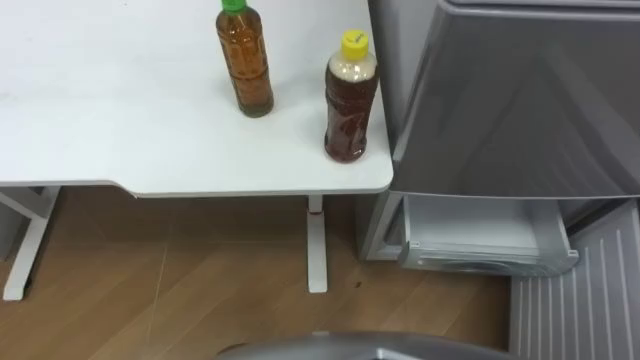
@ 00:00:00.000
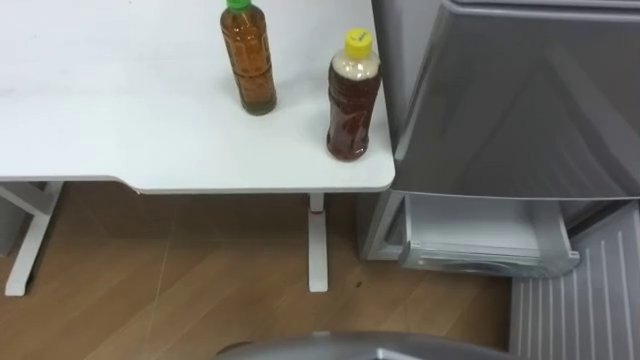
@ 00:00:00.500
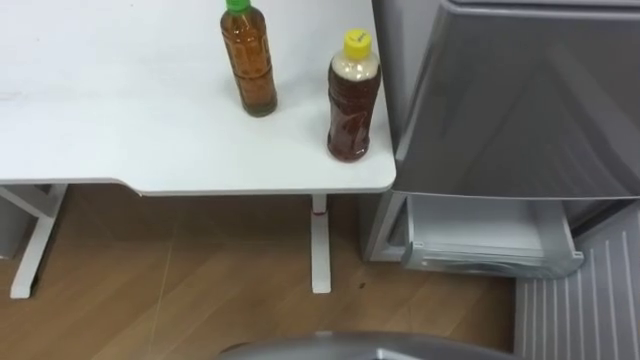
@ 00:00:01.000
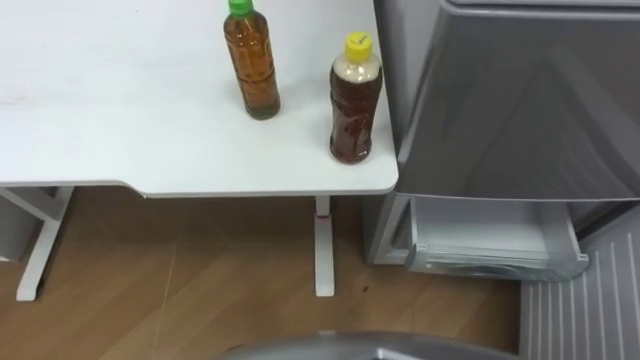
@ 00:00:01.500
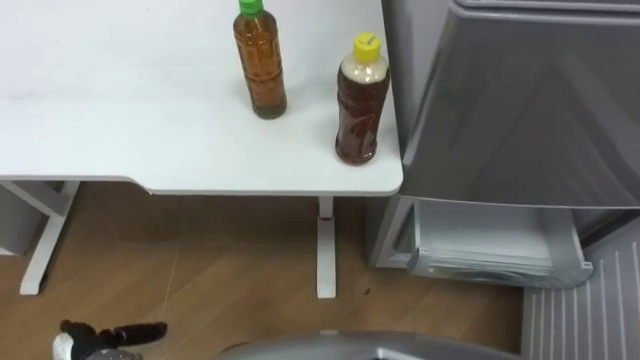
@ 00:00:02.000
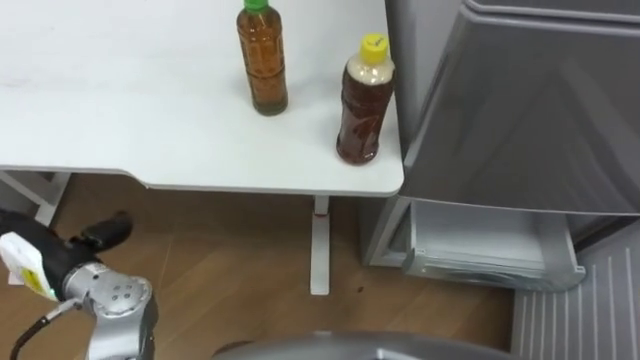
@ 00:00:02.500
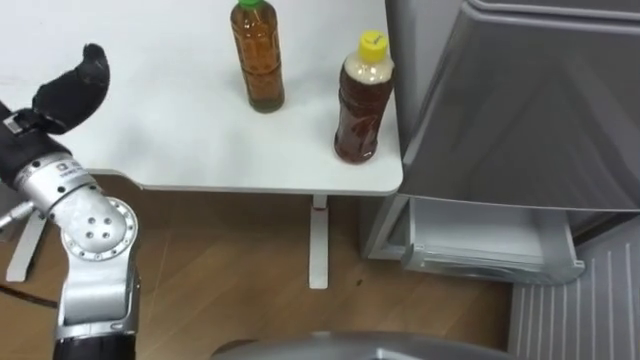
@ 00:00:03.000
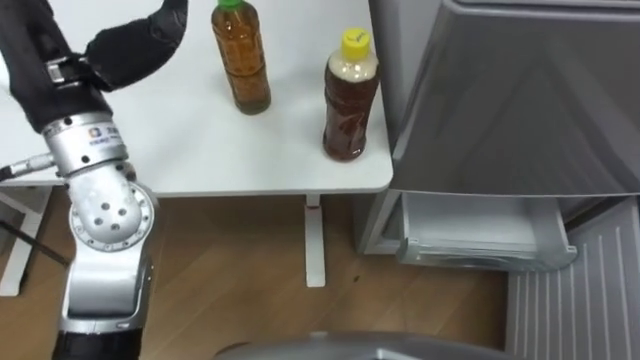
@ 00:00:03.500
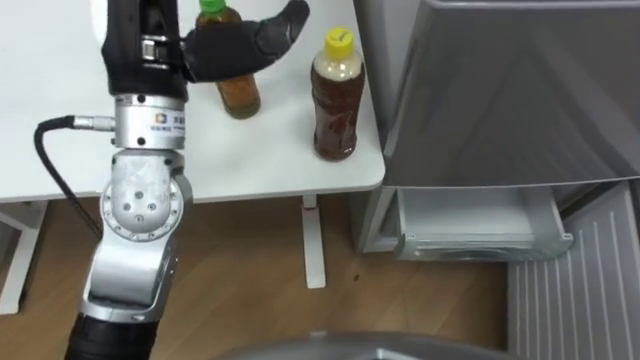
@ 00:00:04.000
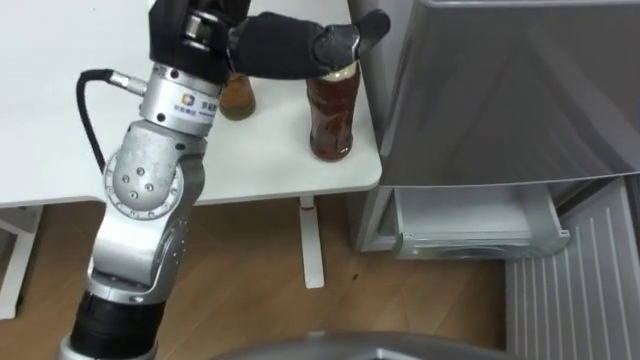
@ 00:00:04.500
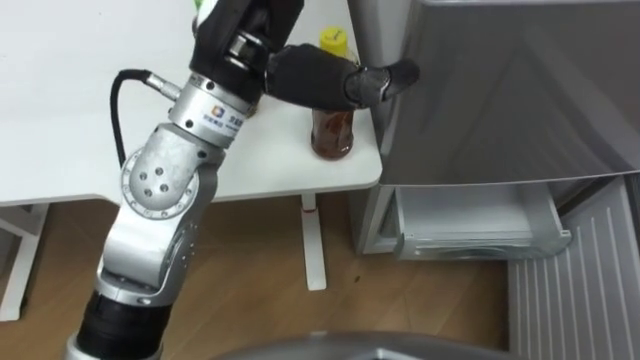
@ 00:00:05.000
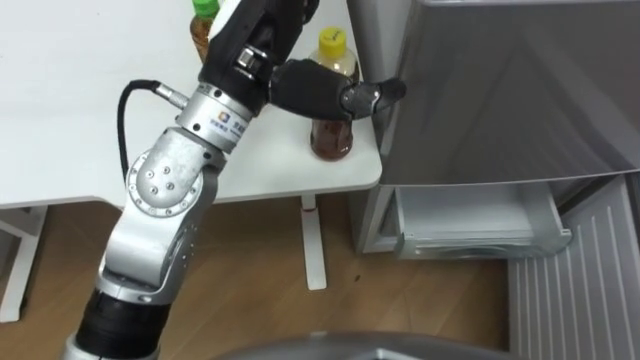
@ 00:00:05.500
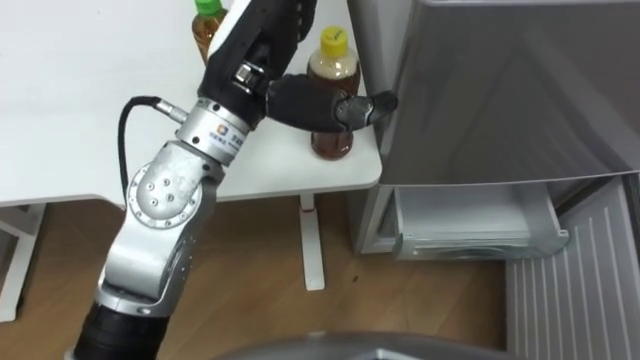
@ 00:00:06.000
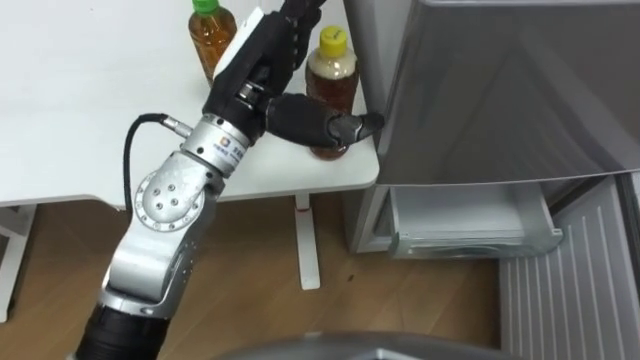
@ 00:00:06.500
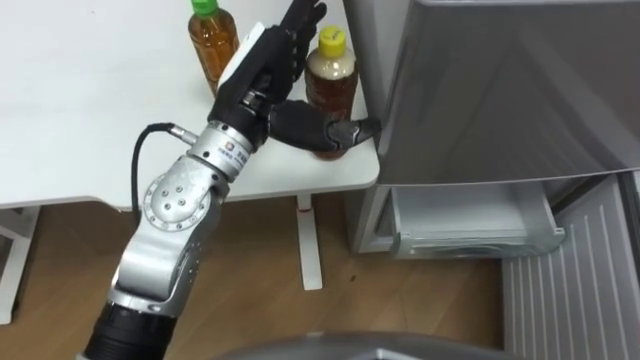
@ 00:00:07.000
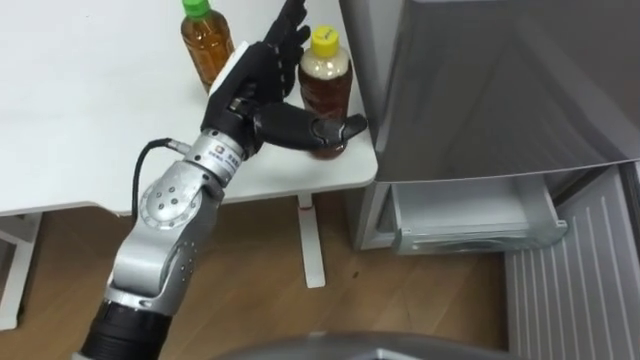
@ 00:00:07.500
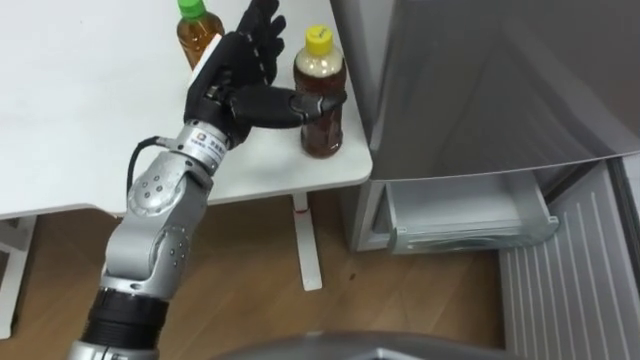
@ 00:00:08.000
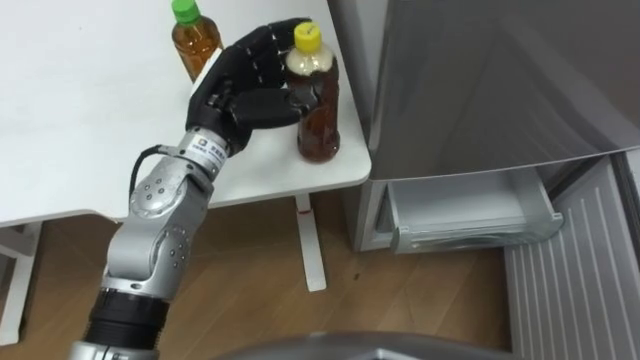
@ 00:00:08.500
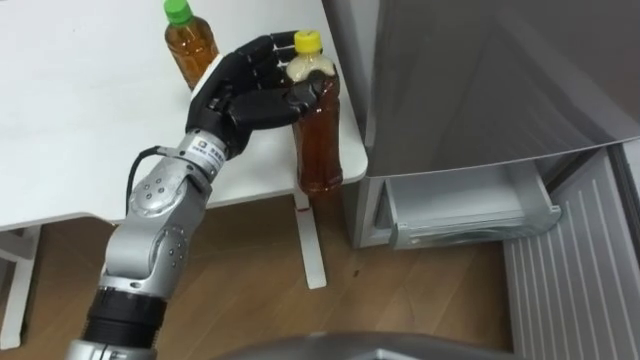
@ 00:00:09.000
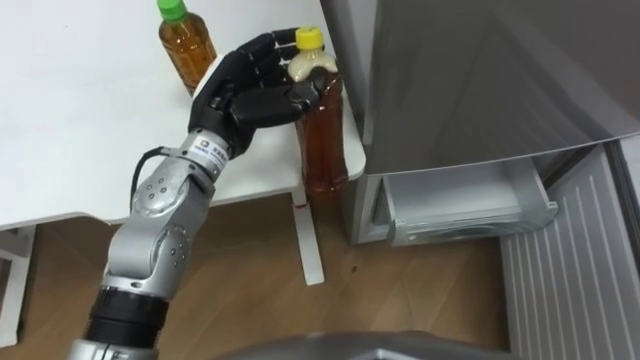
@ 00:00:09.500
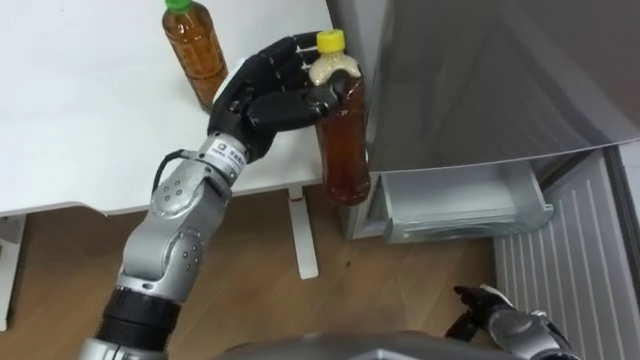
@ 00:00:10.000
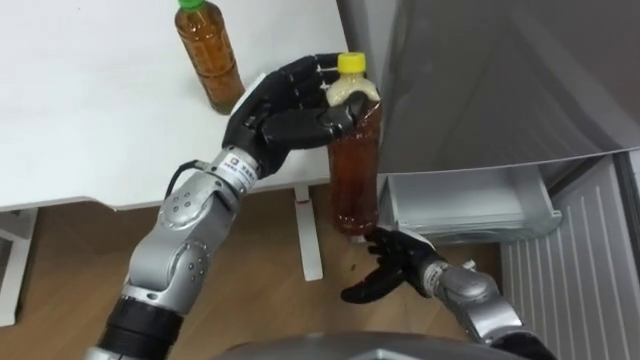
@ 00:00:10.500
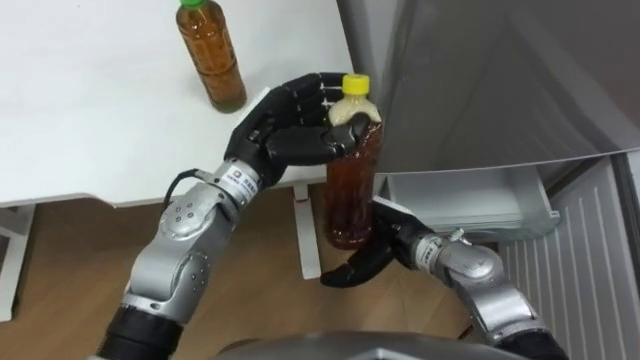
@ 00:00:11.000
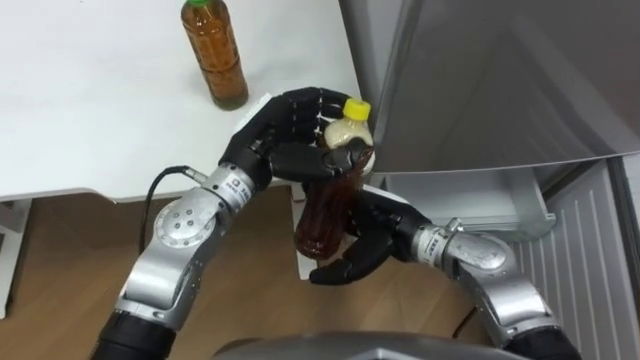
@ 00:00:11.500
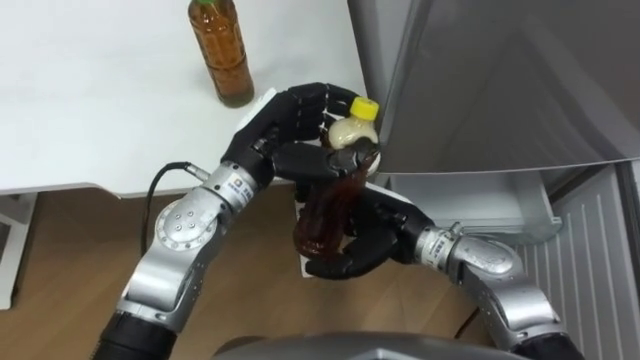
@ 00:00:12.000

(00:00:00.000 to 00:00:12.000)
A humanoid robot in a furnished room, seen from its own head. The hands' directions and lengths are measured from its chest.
Task of the whole recording: Place the drink on the table on the bottom shelf of the refrigerator, then close the drawer and the refrigerator door.
00:00:04.000 - 00:00:06.000: The left hand shifts roughly 10 cm to the right.
00:00:06.000 - 00:00:08.000: The left hand heads downward, covering some 10 cm.
00:00:08.000 - 00:00:10.000: The left hand closes.
00:00:10.000 - 00:00:12.000: The right hand moves to the left, upward and forward, about 25 cm.

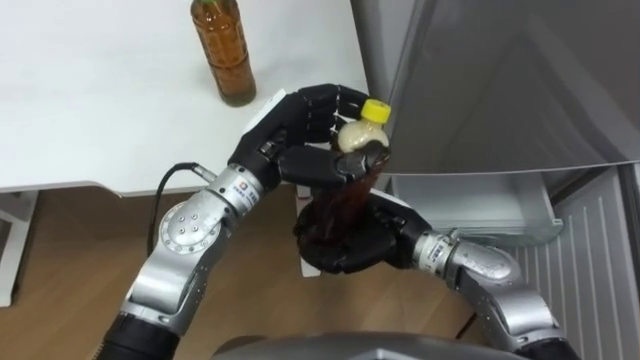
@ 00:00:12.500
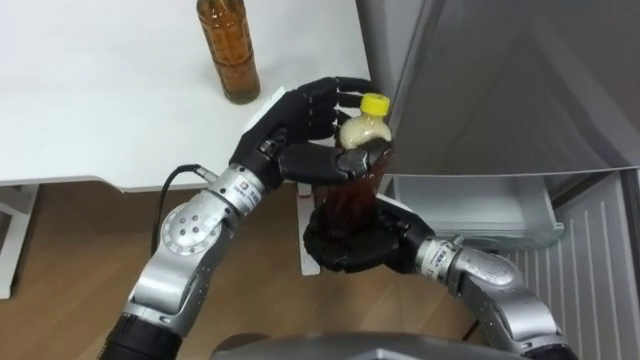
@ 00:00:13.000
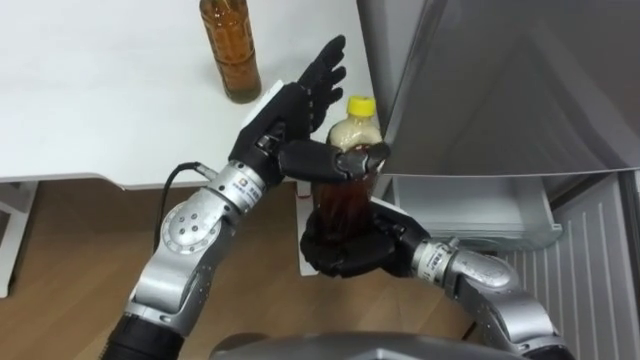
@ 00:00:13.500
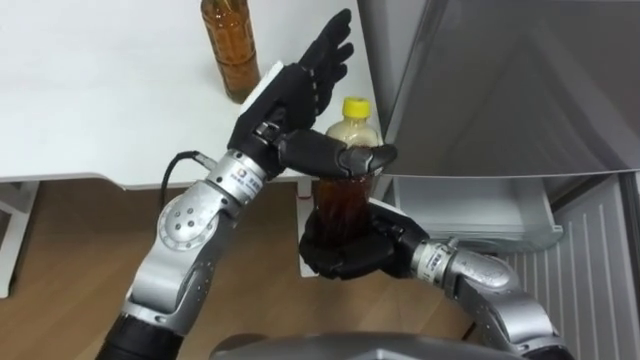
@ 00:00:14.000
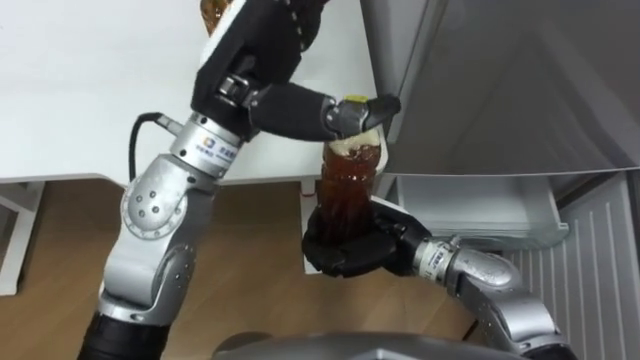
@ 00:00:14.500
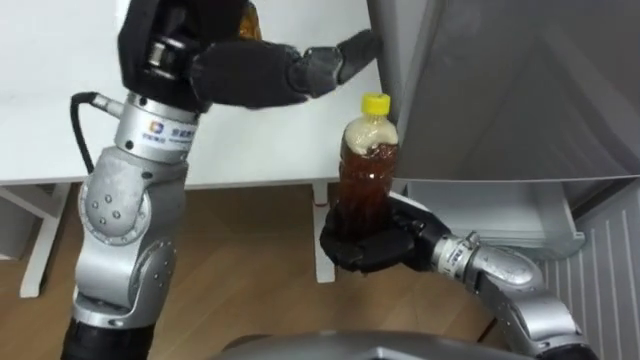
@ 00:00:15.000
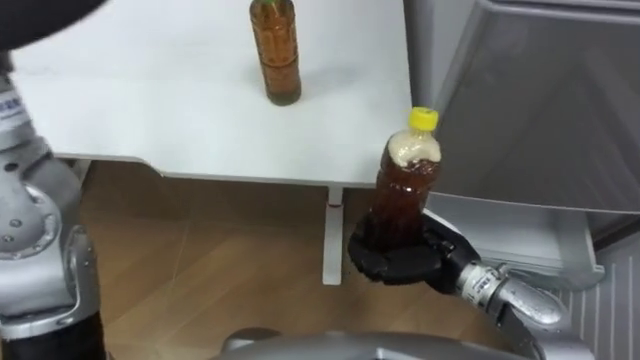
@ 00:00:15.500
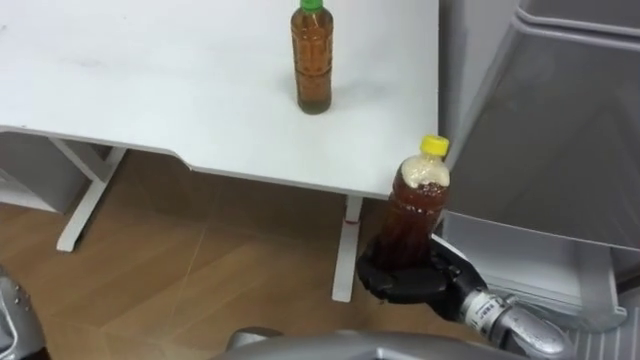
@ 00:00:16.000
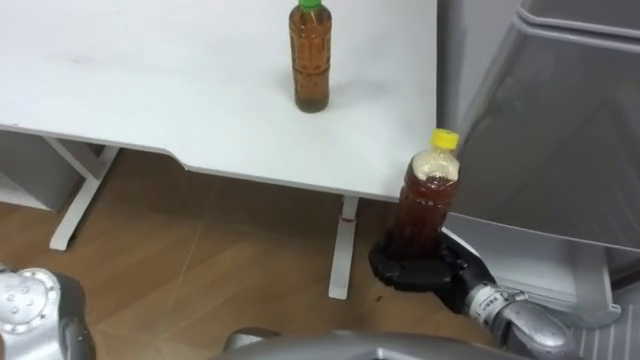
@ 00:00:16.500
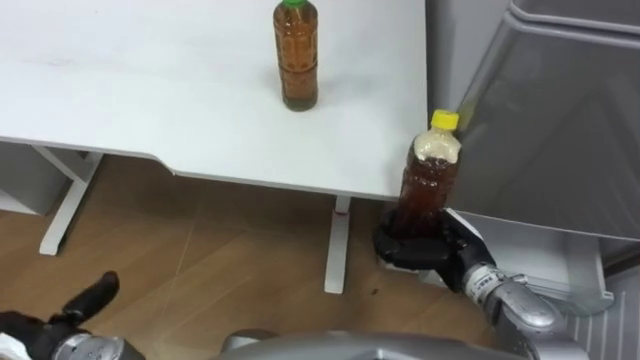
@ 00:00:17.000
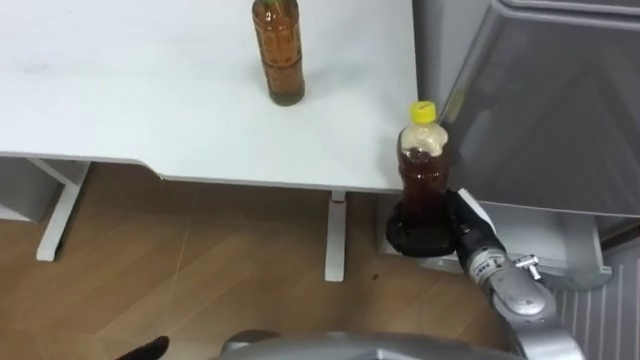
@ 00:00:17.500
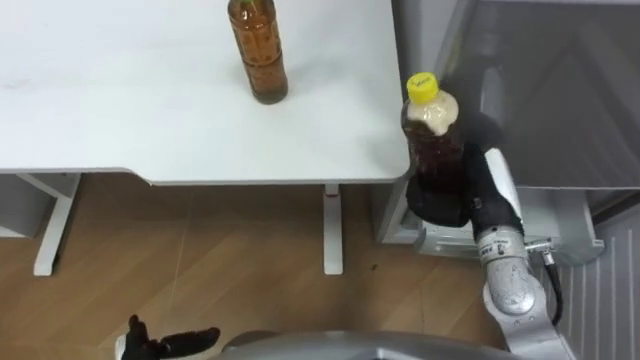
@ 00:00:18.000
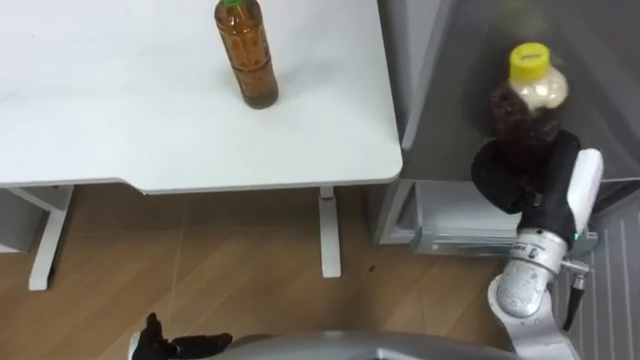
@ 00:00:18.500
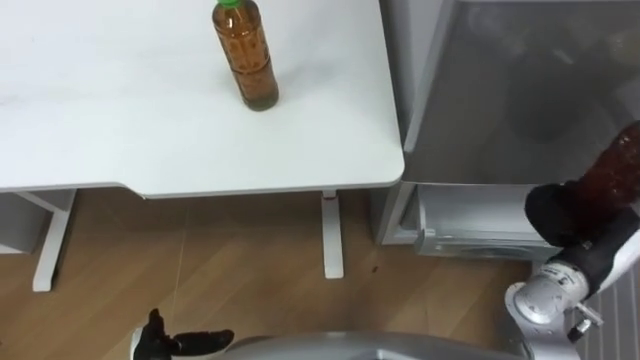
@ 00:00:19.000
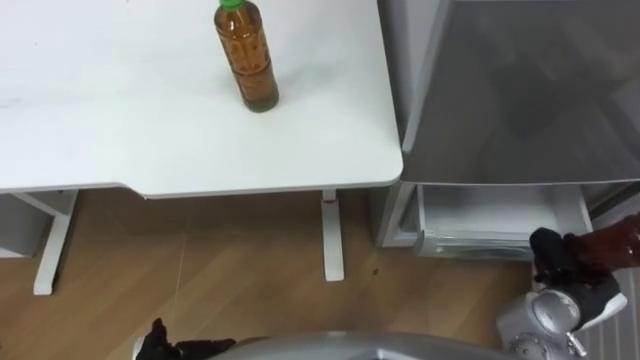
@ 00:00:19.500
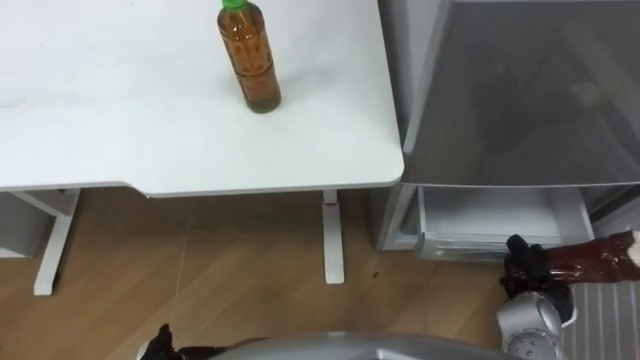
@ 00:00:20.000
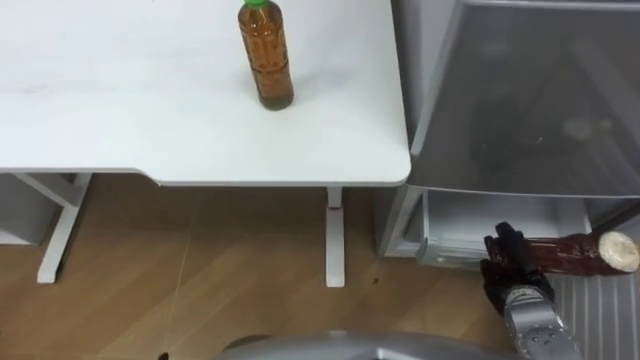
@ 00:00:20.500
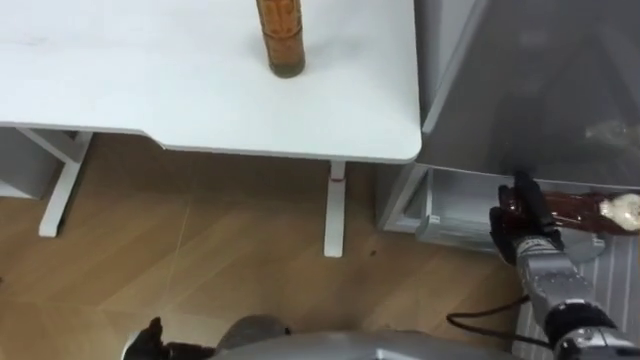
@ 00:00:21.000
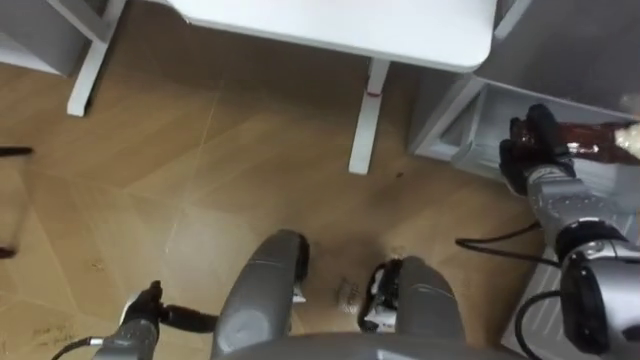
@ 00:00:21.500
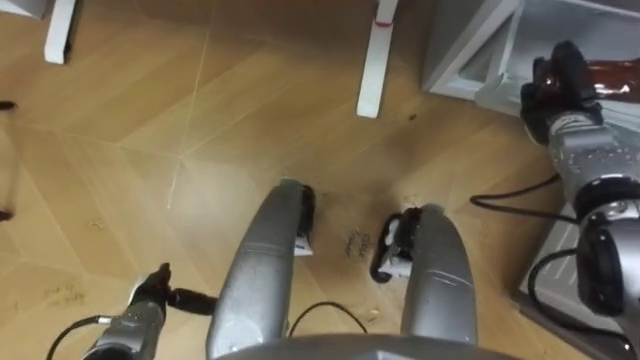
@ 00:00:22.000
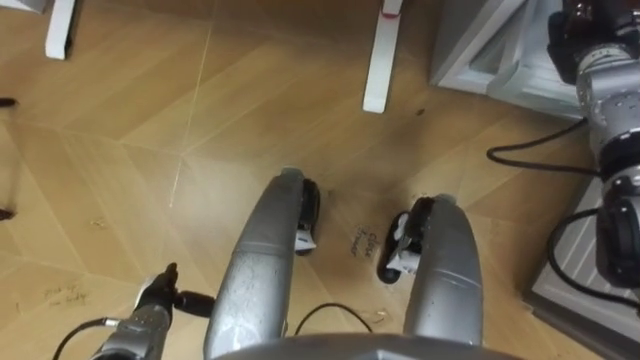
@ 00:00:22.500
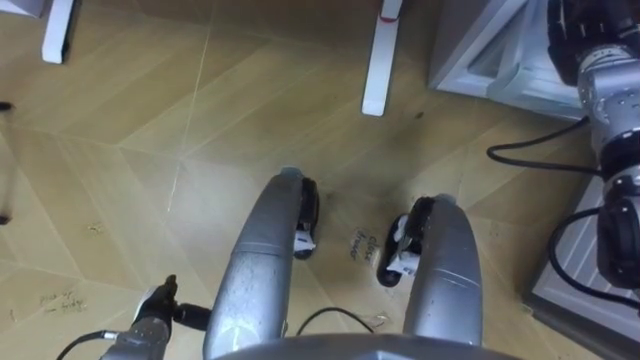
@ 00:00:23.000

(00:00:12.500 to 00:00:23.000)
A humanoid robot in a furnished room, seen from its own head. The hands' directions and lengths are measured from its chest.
Task of the whole recording: Place the drink on the table on the bottom shelf of the refrigerator, then close the drawer and the refrigerator door.
00:00:12.500 - 00:00:14.500: The left hand heads upward, covering approximately 10 cm, and opens up.
00:00:14.500 - 00:00:16.500: The right hand goes approximately 10 cm to the right.
00:00:16.500 - 00:00:19.000: The right hand is displaced to the right by some 15 cm.
00:00:19.000 - 00:00:21.000: The right hand moves downward, about 10 cm.
00:00:21.000 - 00:00:23.000: The right hand is displaced forward and upward by roughly 25 cm, and opens.
